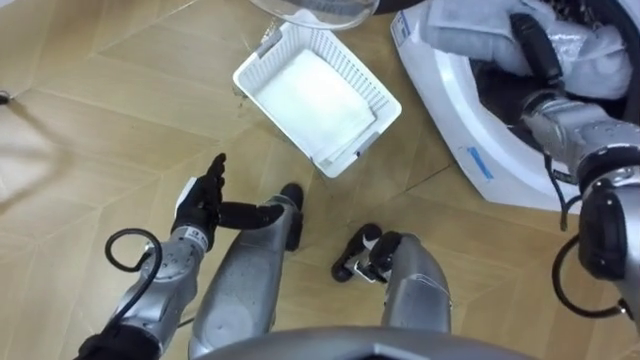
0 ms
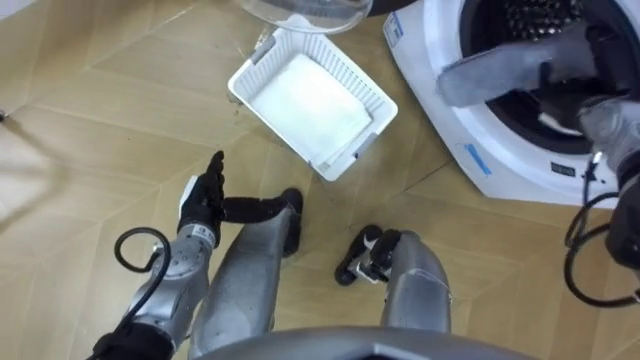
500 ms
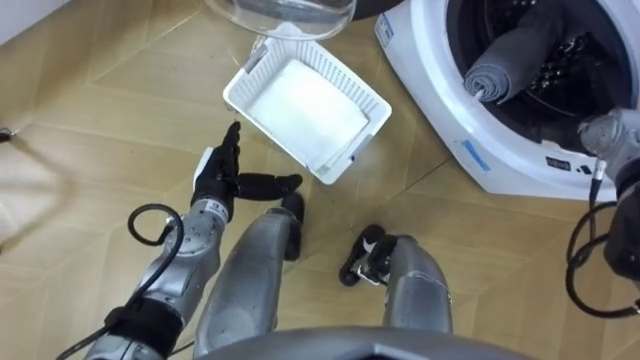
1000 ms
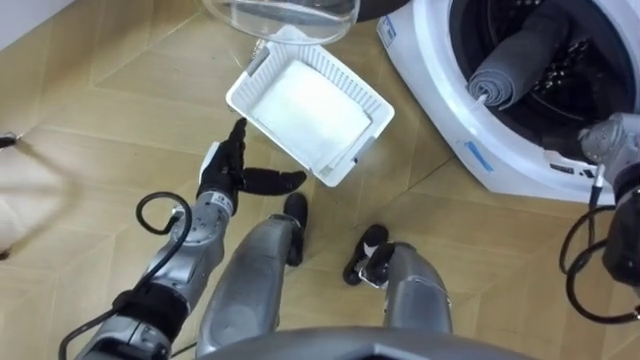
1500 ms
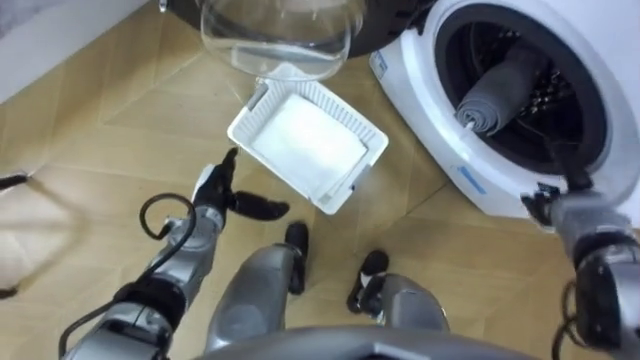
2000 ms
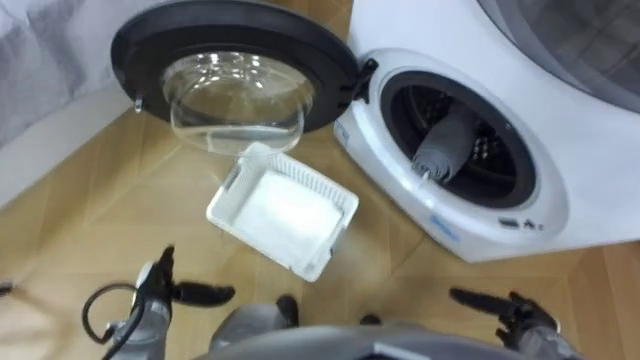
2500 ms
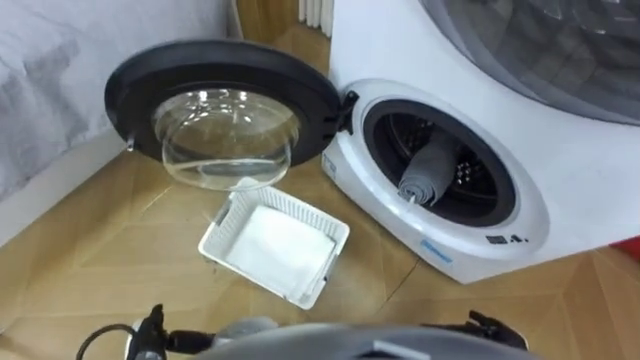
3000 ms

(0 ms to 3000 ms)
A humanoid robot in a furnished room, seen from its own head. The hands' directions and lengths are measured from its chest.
Task of the whole recording: Take the towel from the basket and put it into the washing machine.
0 ms - 1500 ms: The left hand is displaced forward by roughly 5 cm. Meanwhile the right hand heads to the right and backward, covering about 10 cm, and opens up.
1500 ms - 3000 ms: The left hand goes approximately 30 cm backward, downward and to the left. The right hand goes about 30 cm backward and downward.

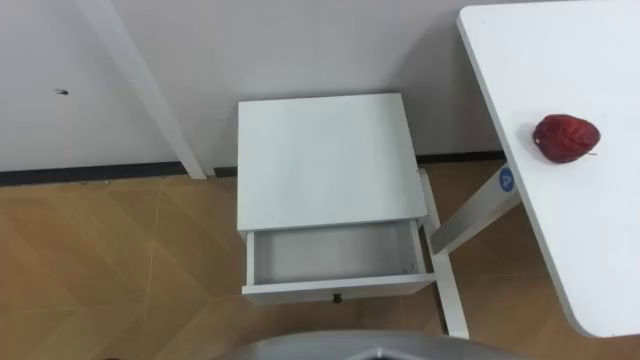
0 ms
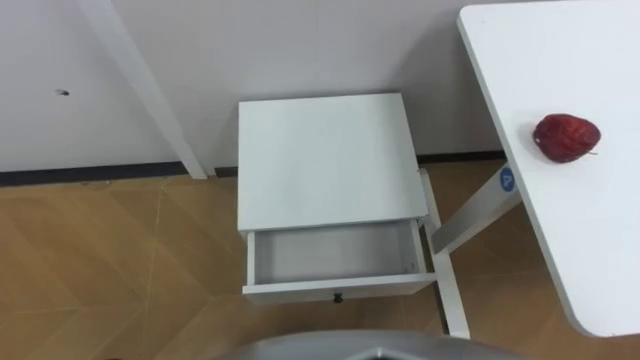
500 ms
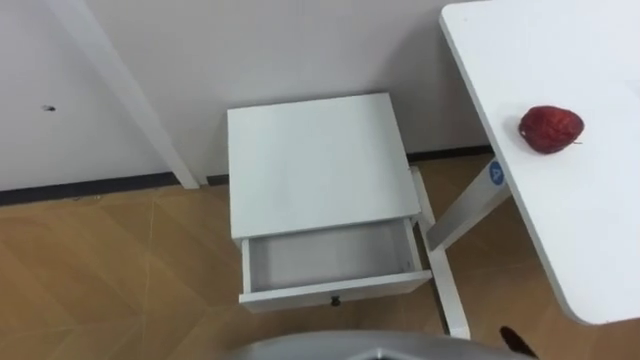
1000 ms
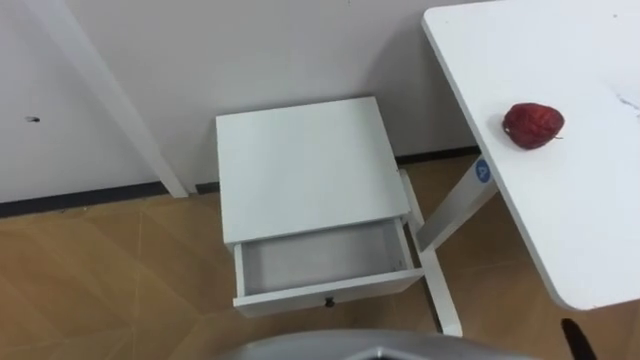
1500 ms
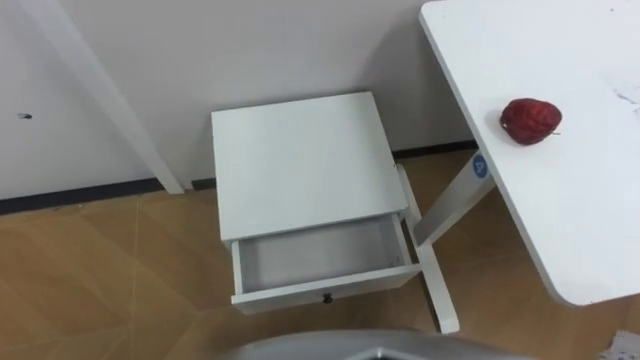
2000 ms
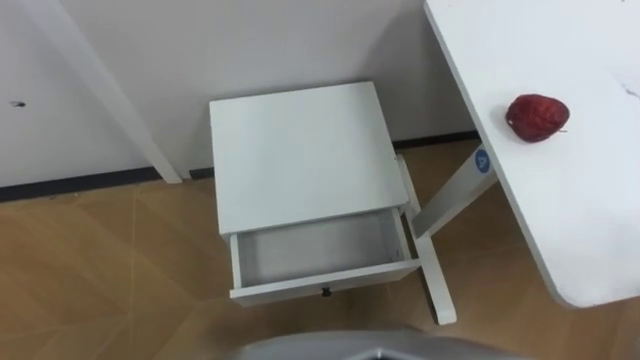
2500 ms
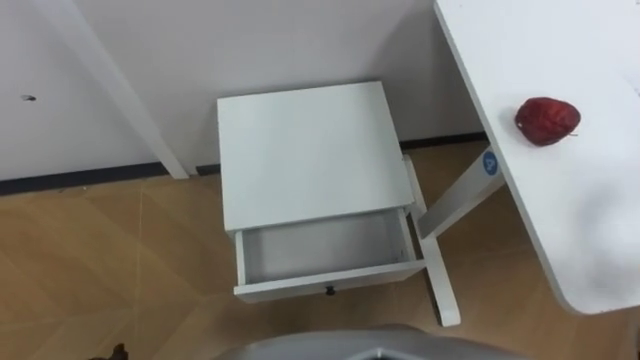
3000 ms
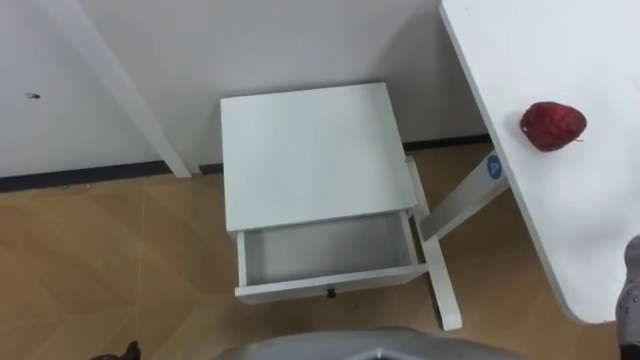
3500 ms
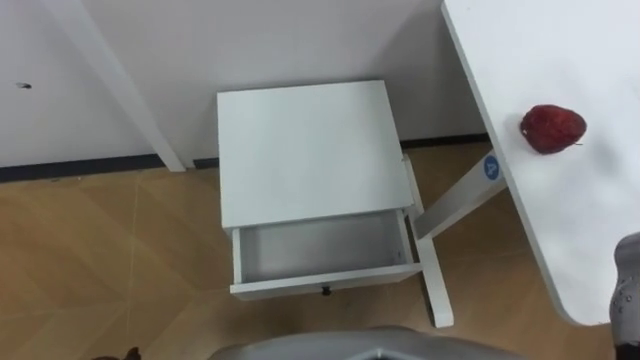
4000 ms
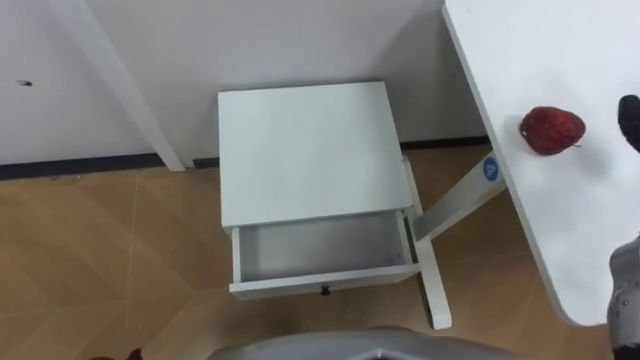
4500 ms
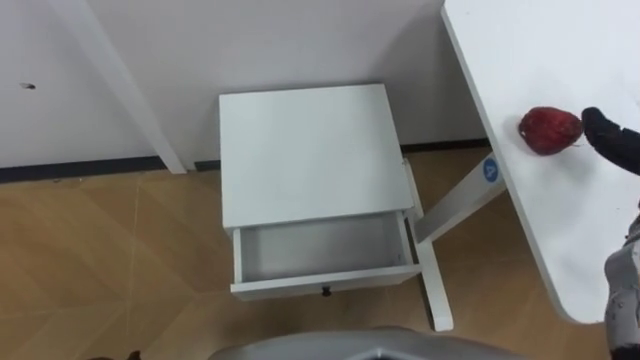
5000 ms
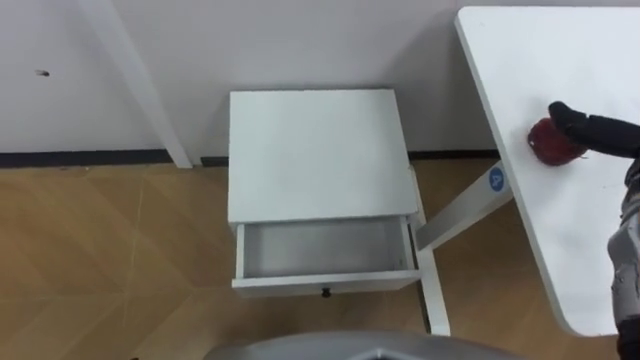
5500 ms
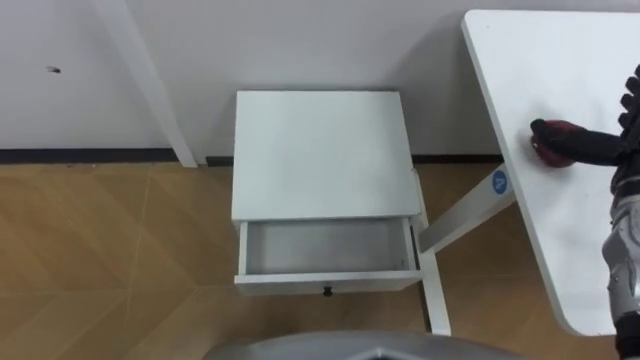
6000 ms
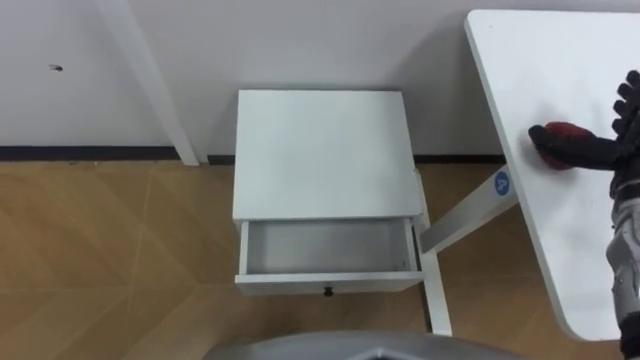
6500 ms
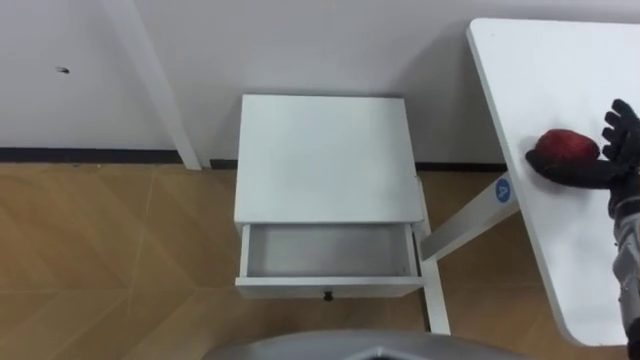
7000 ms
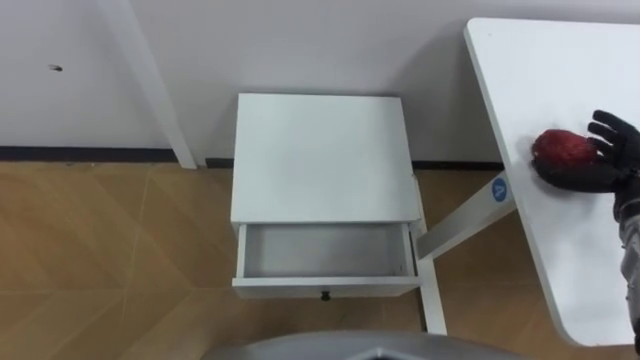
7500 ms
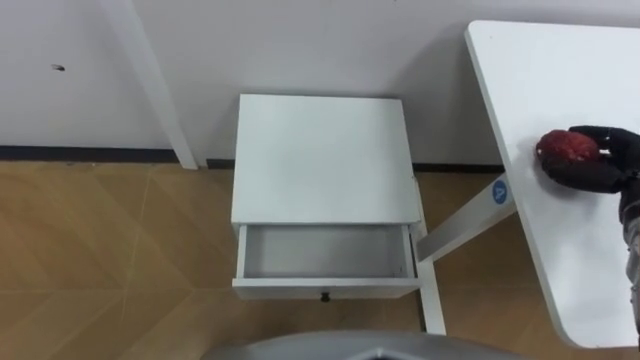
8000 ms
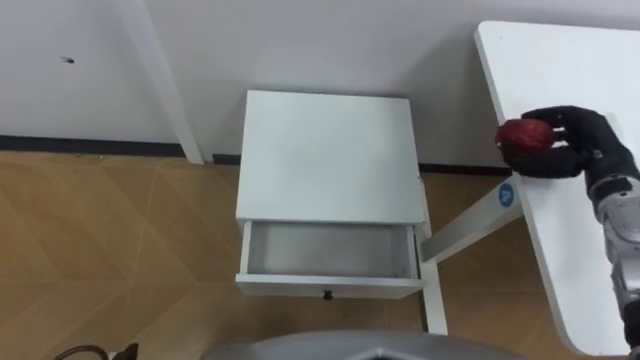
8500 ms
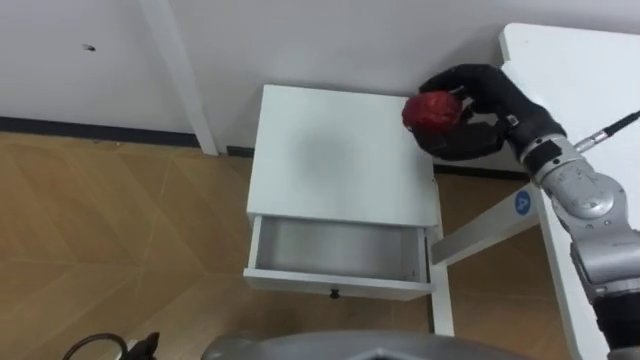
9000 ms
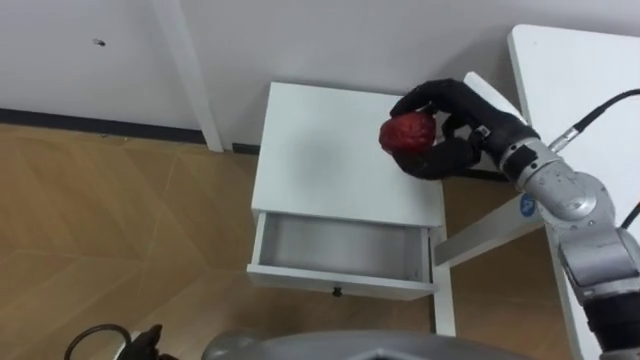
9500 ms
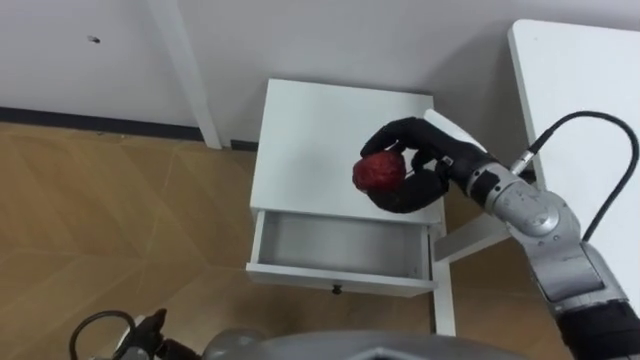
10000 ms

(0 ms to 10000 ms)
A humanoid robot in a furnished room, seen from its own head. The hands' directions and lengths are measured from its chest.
Task of the whole recording: Pick up the apple from the table, put it in the drawer, and close the drawer with leg.
8000 ms - 10000 ms: The right hand heads to the left, covering some 25 cm.

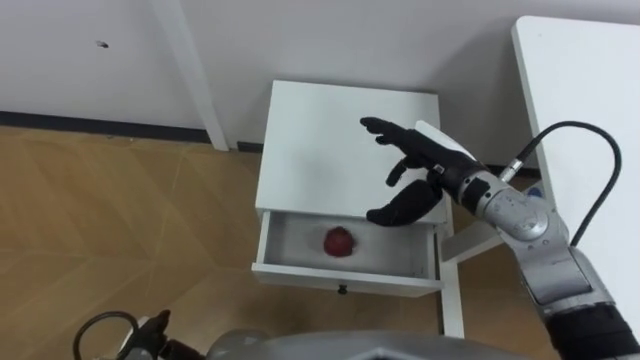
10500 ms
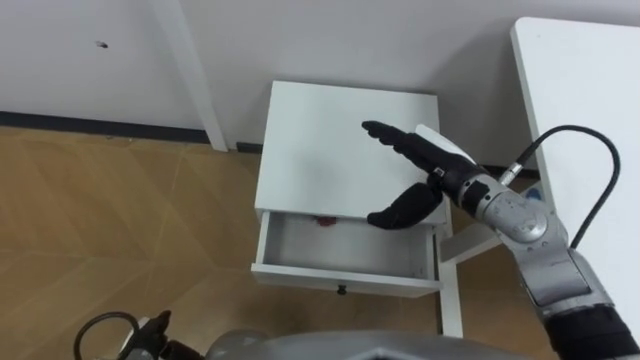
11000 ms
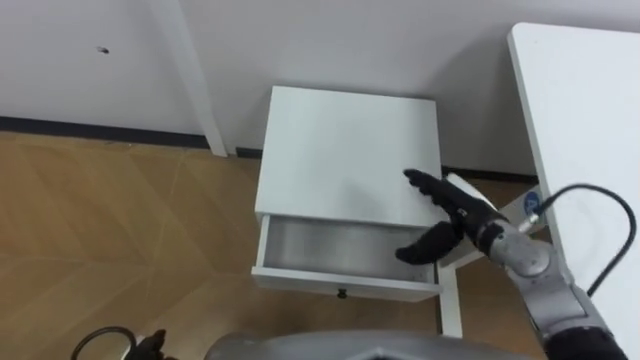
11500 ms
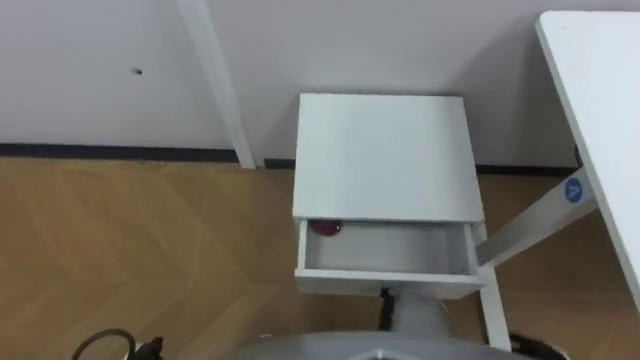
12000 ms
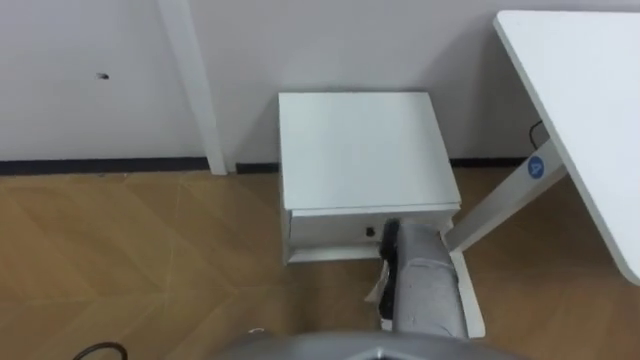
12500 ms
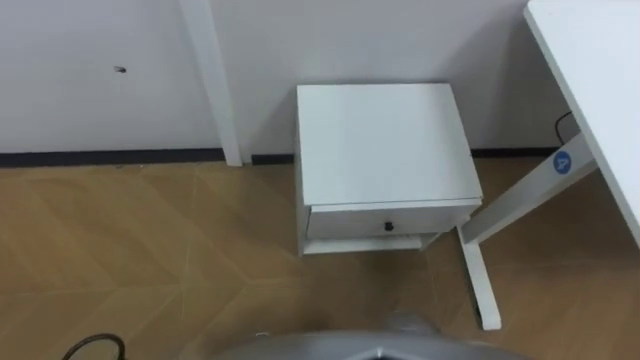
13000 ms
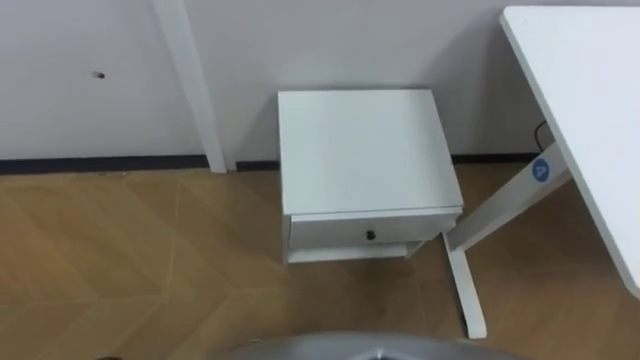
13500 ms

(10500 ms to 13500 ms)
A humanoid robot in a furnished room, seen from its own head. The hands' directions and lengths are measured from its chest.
Task of the whole recording: Pick up the apple from the table, put it in the drawer, and close the drawer with leg.
10500 ms - 12000 ms: The right hand goes about 35 cm backward, downward and to the right.

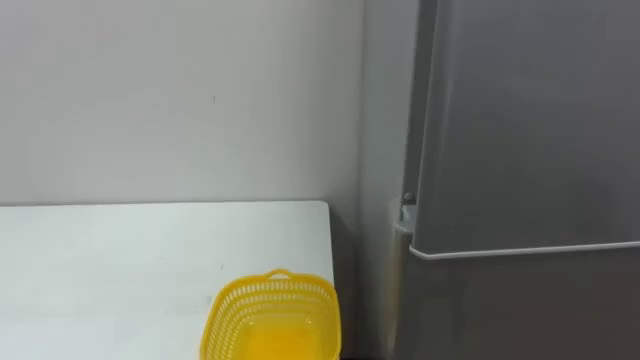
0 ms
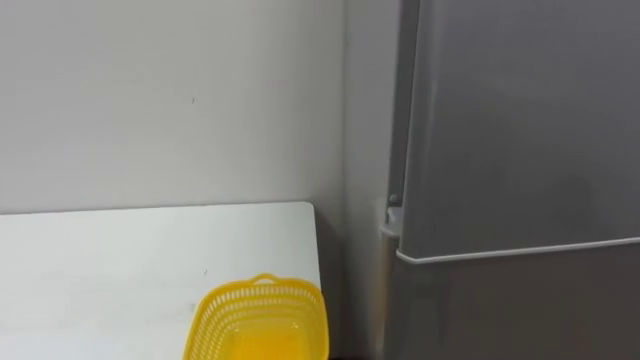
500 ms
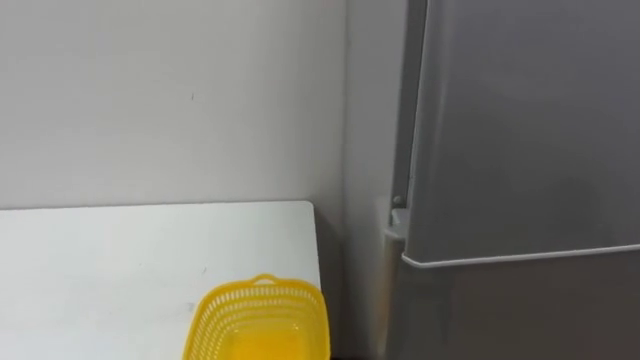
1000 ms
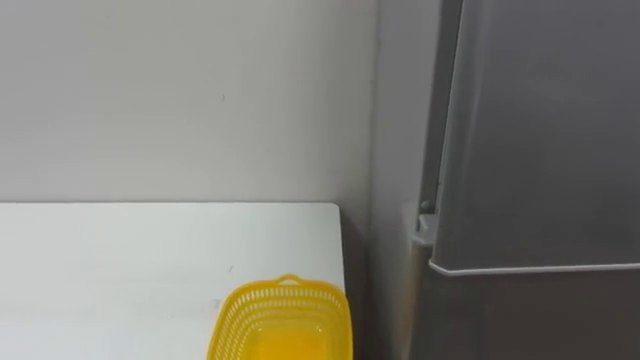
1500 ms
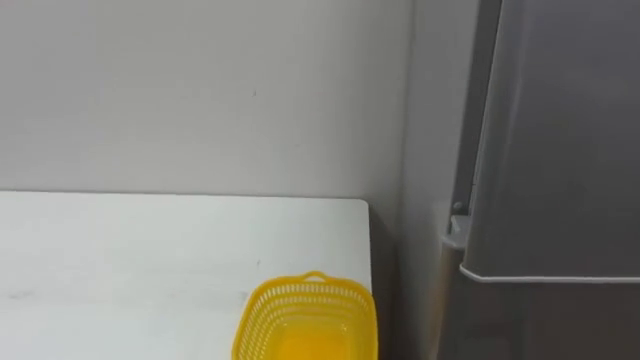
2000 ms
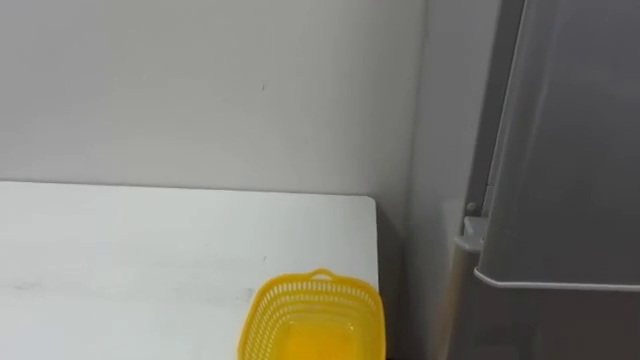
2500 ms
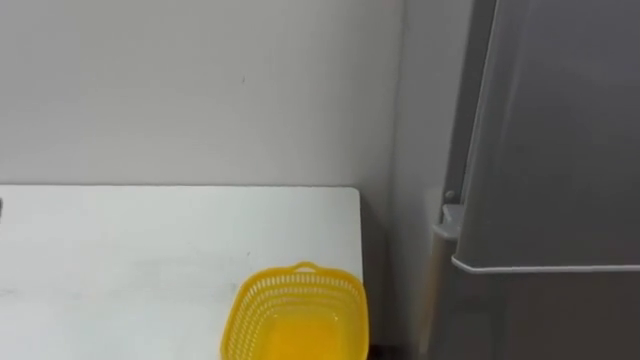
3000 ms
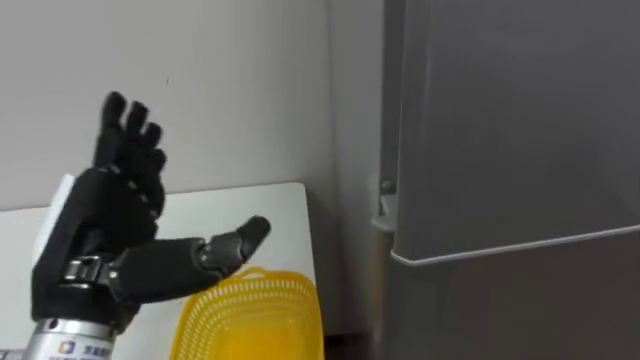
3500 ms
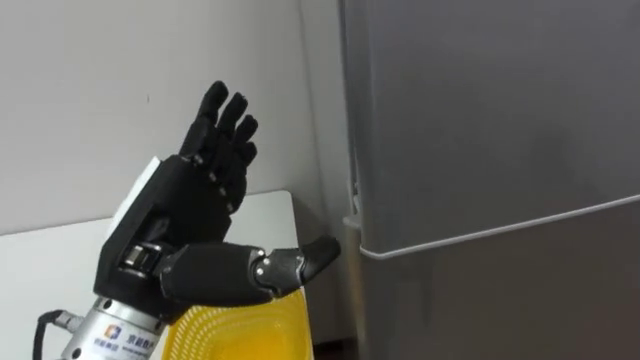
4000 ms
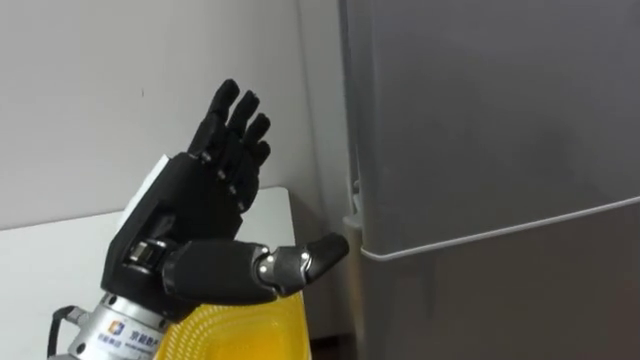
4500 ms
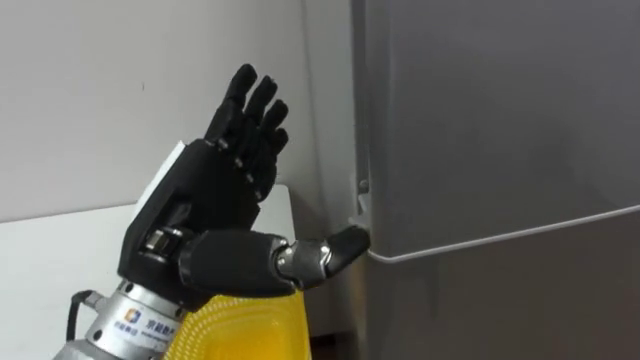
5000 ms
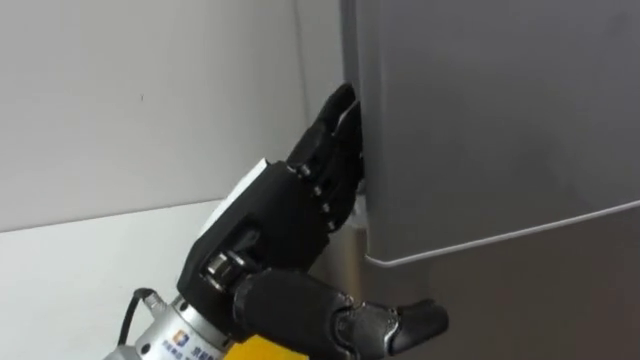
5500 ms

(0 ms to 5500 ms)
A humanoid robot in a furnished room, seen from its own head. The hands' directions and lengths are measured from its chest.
Task of the whole recording: Open the refrigerator door, take out the apple and the pomegranate, place them in the fruit basket on the left, and close the refrigerator door.
3500 ms - 5500 ms: The left hand travels to the right by about 10 cm.
